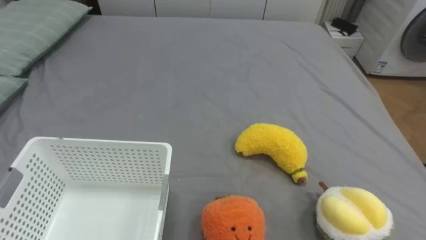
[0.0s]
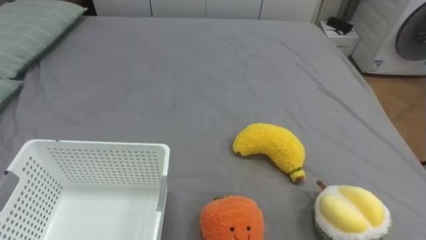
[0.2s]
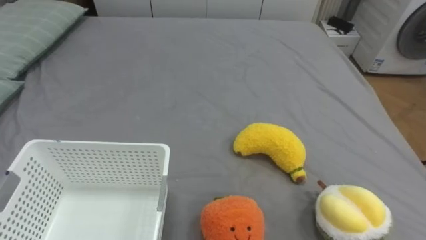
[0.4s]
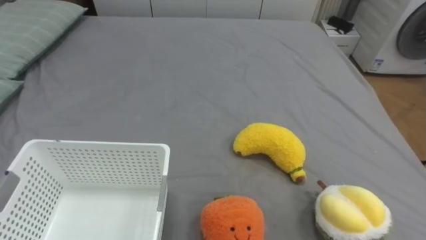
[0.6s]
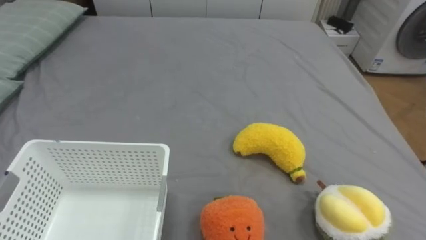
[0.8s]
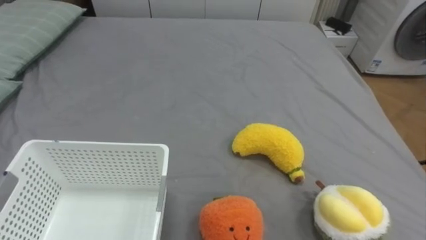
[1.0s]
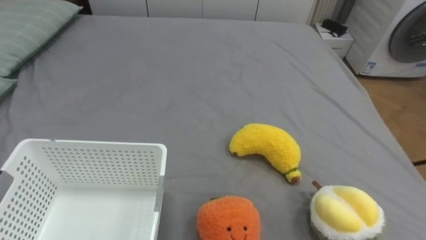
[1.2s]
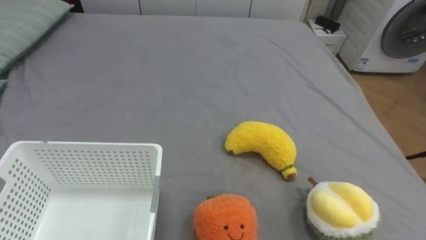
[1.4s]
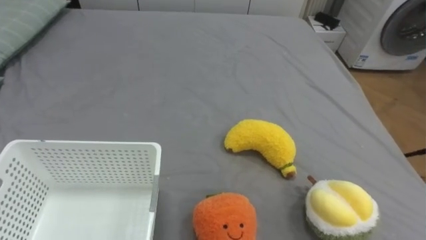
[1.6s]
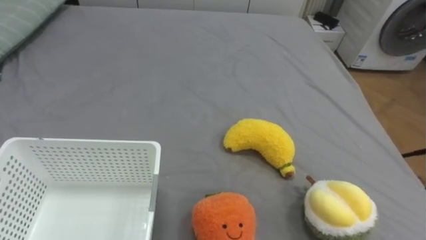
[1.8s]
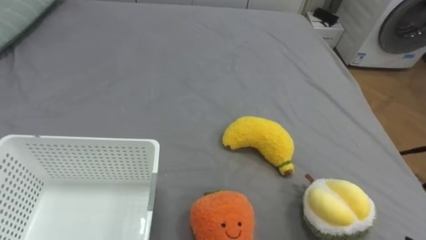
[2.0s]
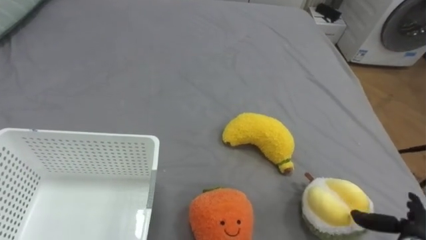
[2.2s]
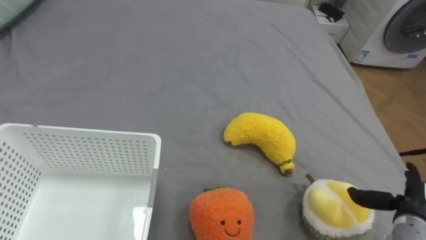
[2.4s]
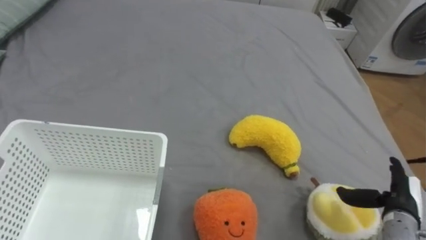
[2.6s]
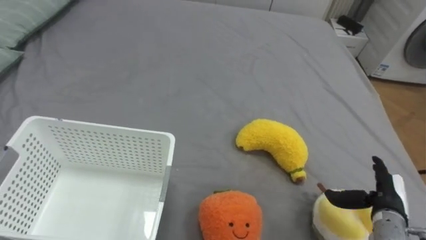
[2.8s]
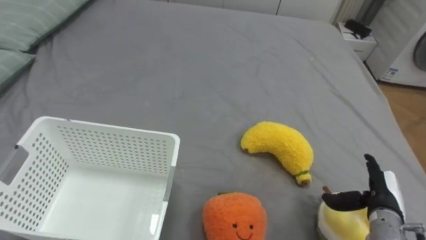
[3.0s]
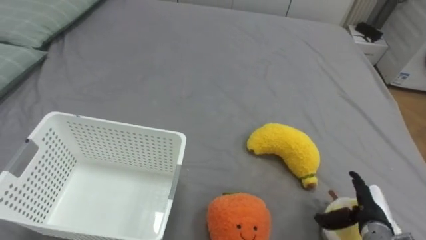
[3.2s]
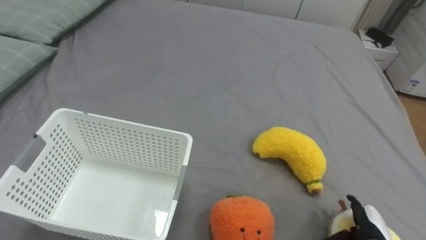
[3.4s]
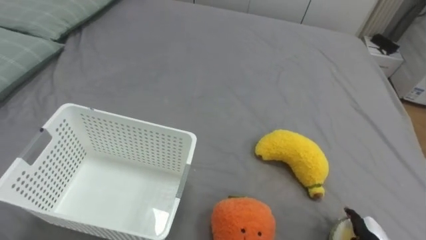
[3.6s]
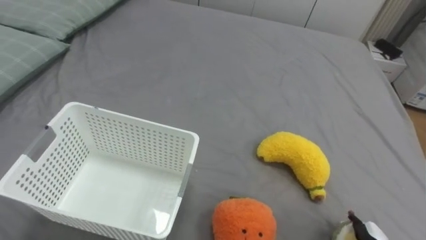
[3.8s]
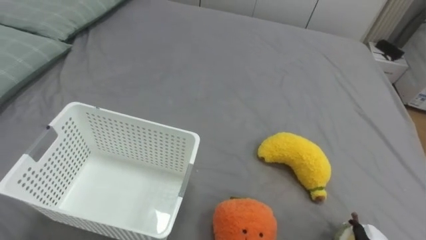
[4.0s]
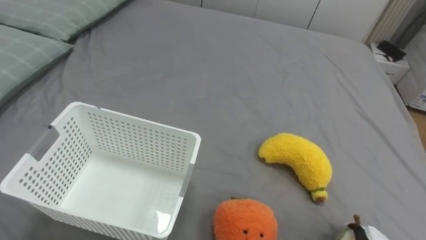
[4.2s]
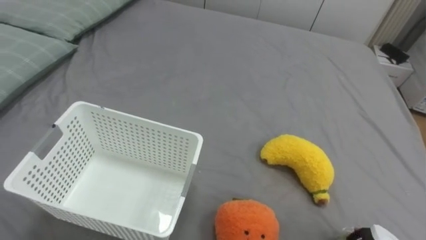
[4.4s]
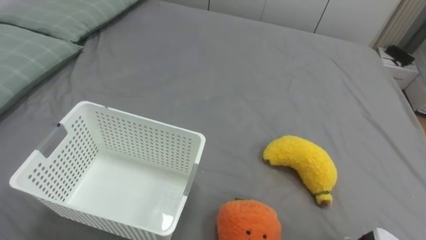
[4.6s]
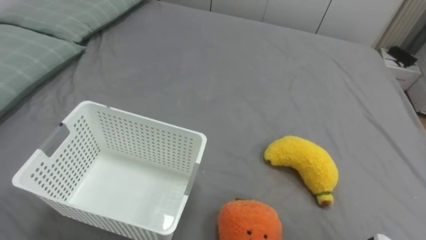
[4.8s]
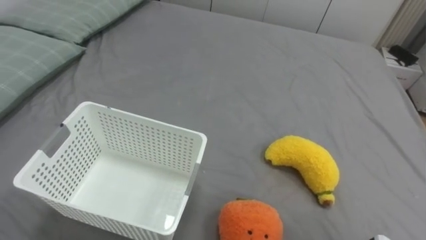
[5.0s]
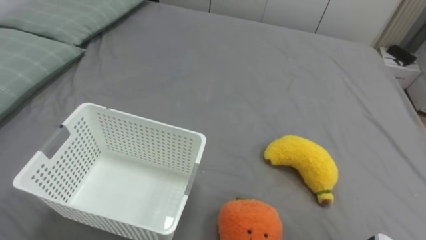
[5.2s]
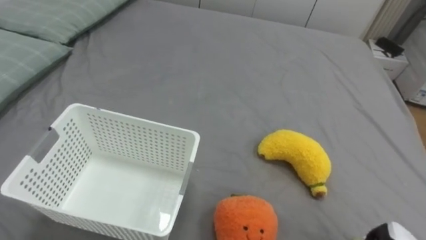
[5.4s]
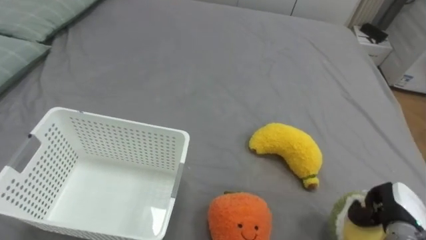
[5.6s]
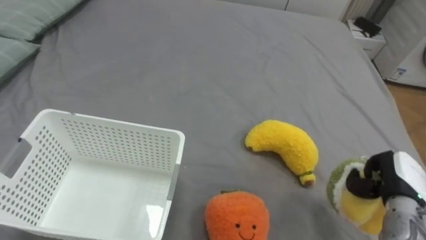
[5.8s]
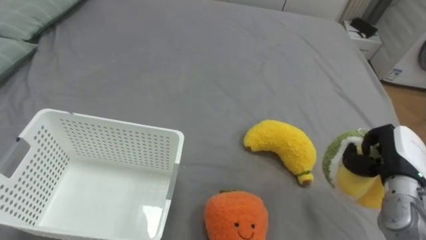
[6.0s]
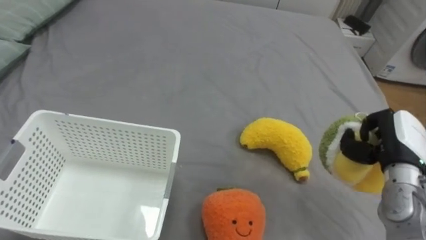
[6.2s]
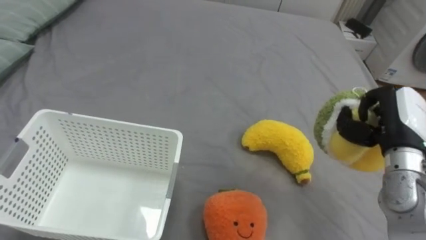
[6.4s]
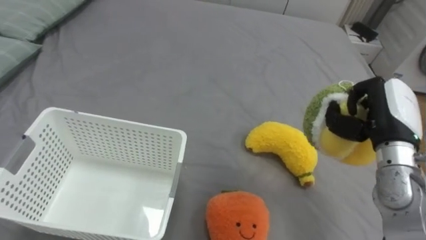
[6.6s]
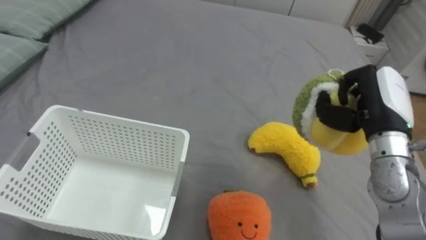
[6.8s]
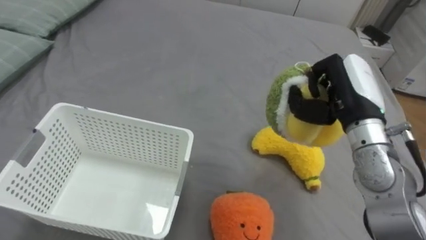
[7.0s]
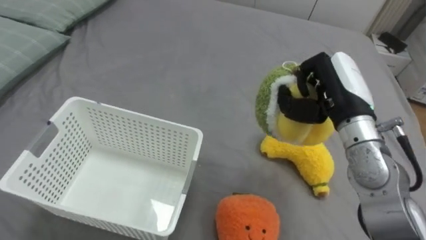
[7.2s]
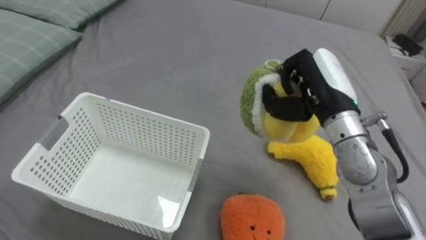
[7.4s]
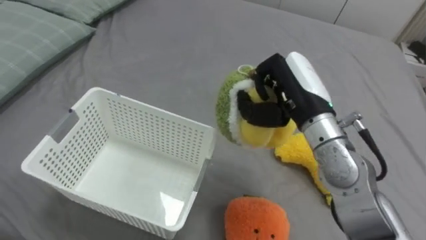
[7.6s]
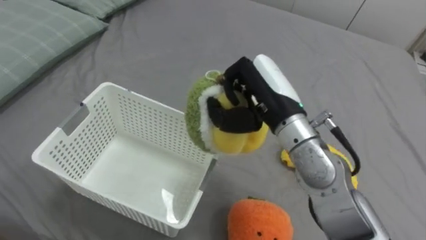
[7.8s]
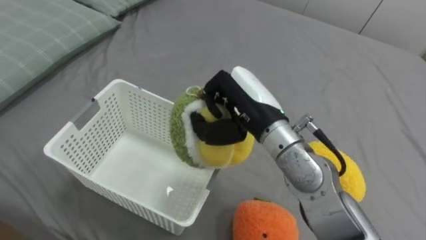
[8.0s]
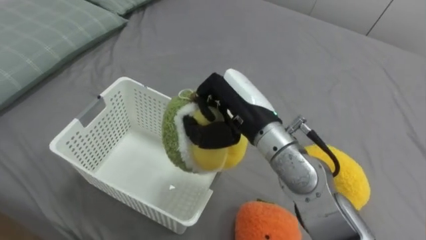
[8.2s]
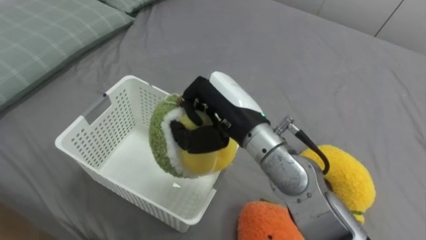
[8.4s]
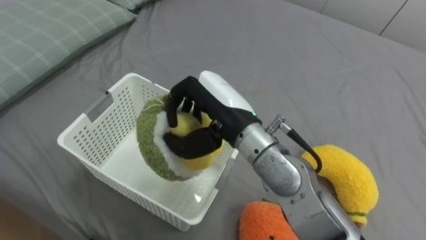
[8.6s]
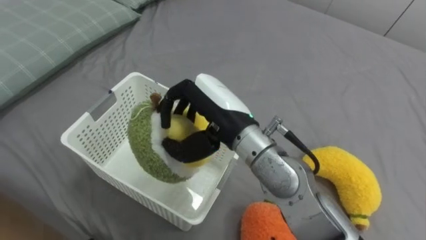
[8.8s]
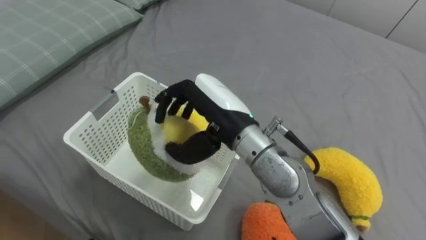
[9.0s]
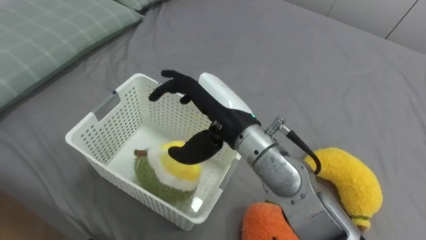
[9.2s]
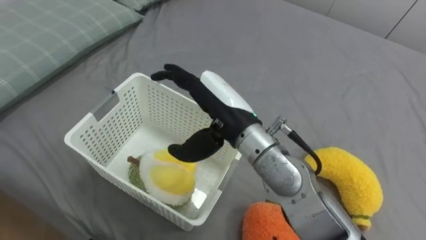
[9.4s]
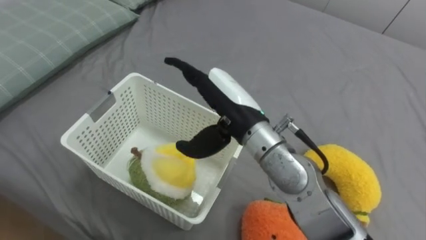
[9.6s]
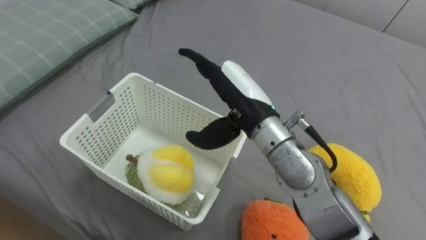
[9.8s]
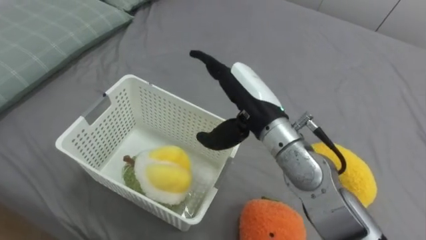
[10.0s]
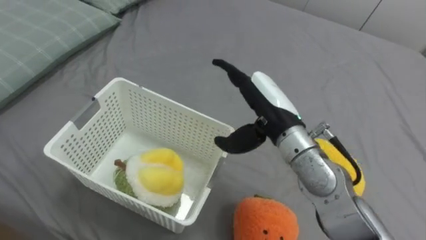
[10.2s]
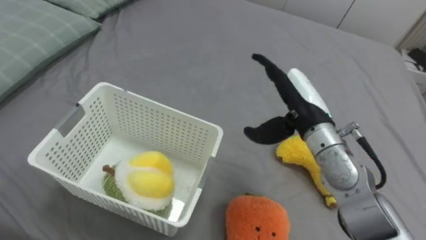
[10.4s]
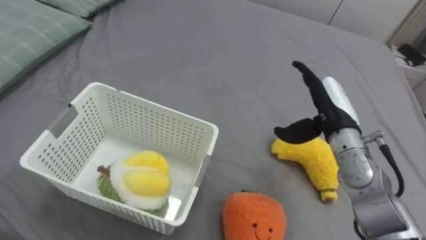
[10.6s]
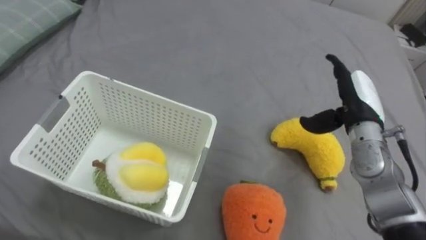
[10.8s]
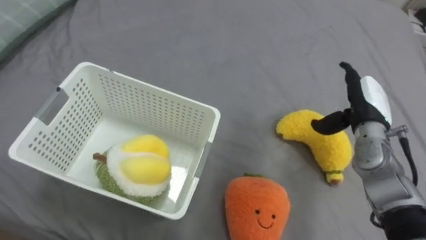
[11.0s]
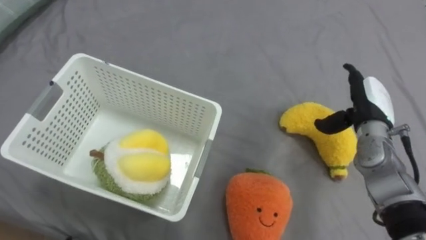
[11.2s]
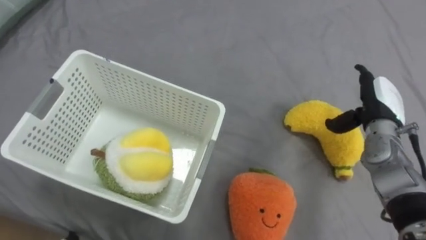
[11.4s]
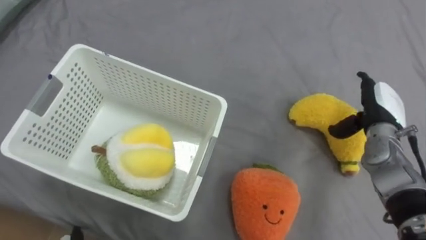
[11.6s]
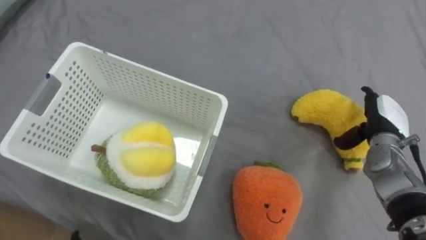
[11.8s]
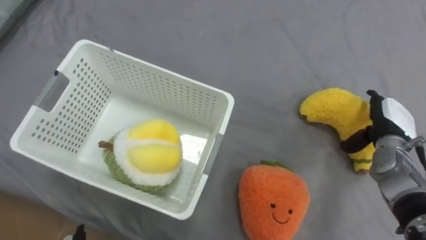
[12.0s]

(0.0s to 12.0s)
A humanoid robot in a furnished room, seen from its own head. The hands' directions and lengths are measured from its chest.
Task of the whole recording: Put the toys on the bed into the basket on the left.
6.0s - 7.6s: The right hand goes about 25 cm to the left and upward.
7.6s - 9.0s: The right hand goes approximately 15 cm to the left, and opens its fingers.
9.0s - 10.4s: The right hand moves to the right, approximately 15 cm, and opens its fingers.
10.4s - 12.0s: The right hand moves to the right and downward, approximately 20 cm.

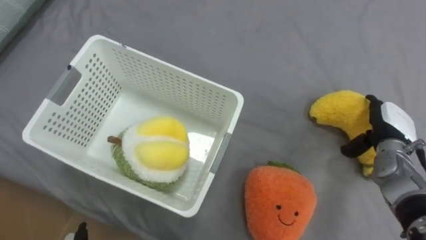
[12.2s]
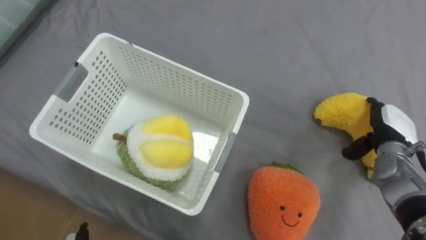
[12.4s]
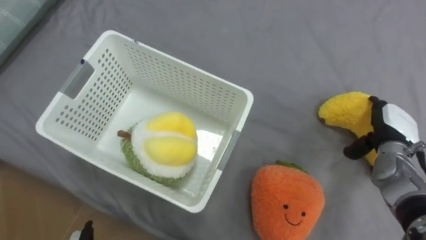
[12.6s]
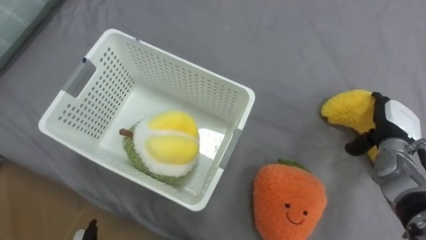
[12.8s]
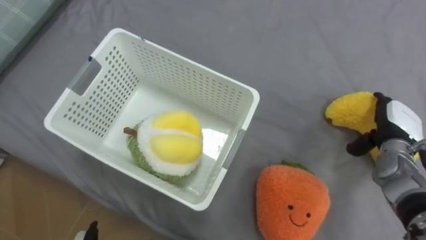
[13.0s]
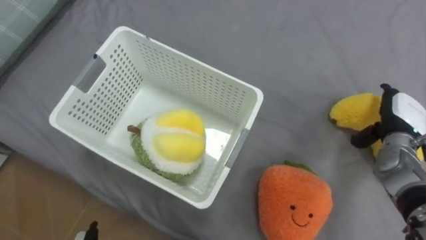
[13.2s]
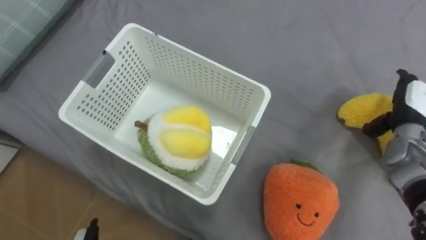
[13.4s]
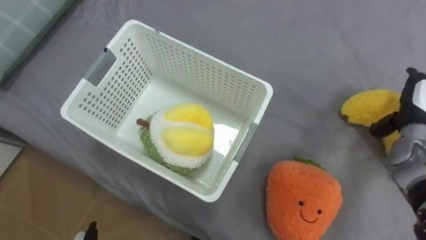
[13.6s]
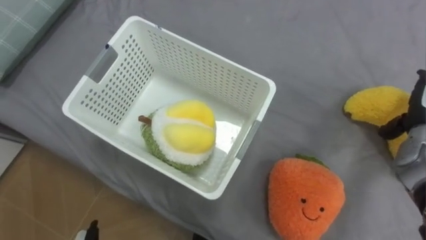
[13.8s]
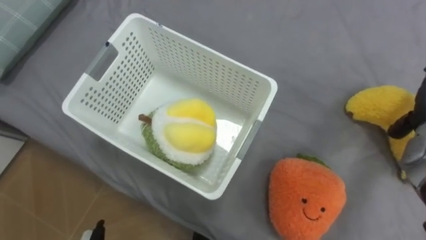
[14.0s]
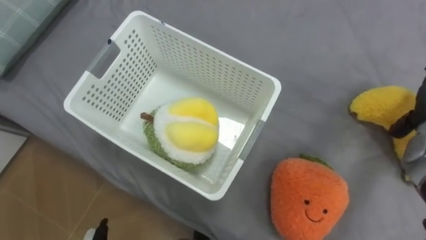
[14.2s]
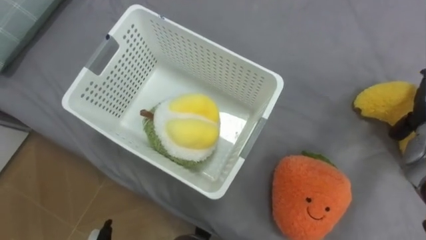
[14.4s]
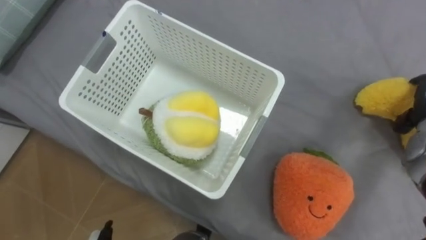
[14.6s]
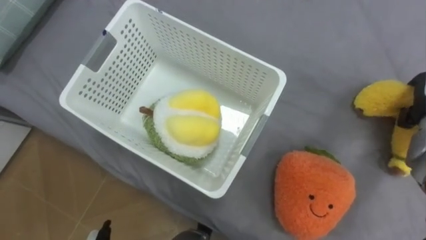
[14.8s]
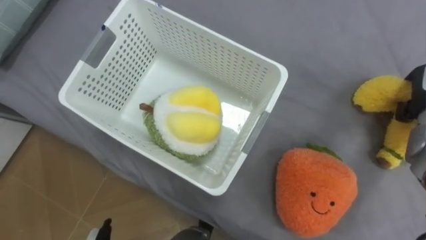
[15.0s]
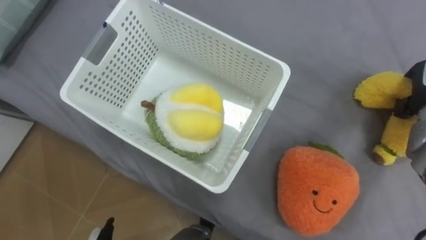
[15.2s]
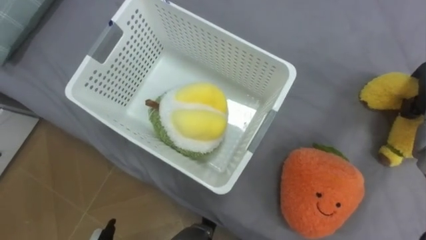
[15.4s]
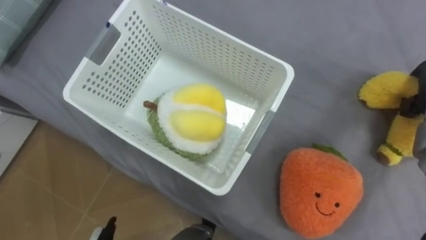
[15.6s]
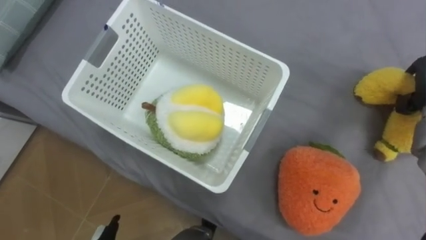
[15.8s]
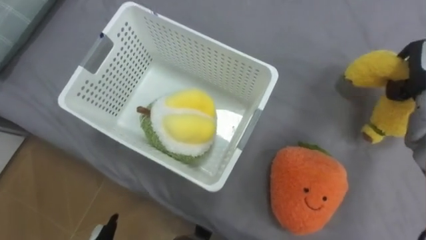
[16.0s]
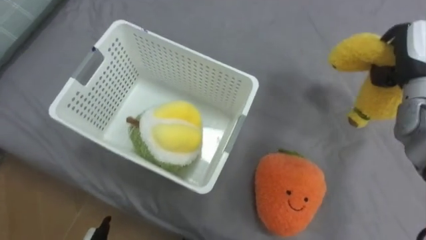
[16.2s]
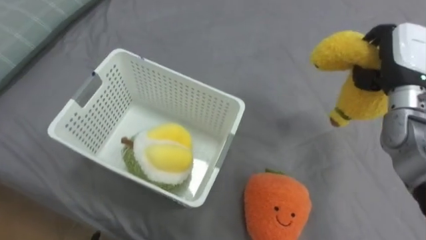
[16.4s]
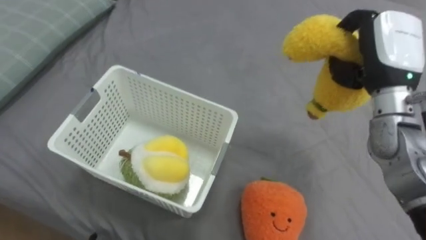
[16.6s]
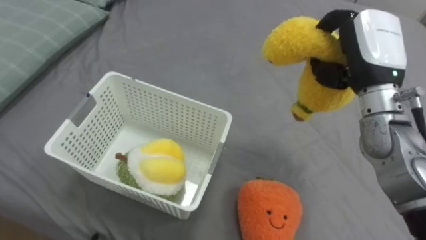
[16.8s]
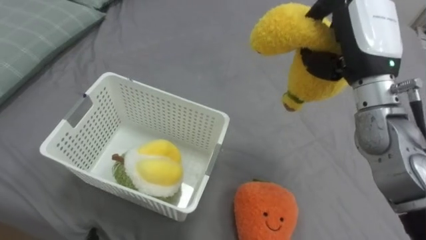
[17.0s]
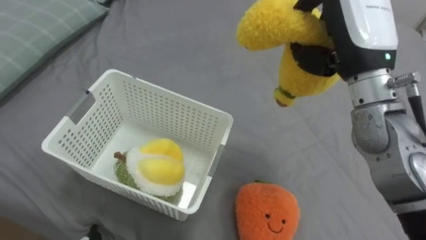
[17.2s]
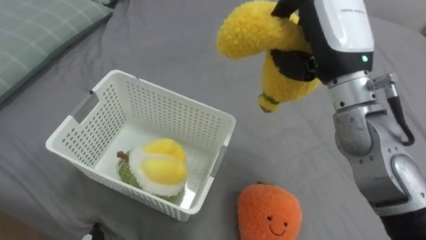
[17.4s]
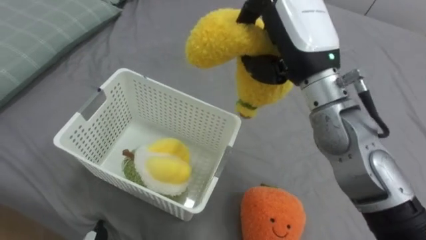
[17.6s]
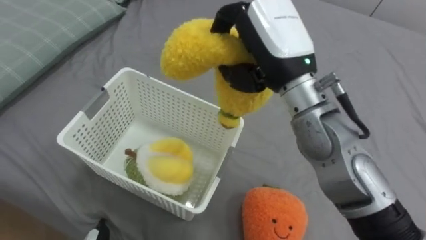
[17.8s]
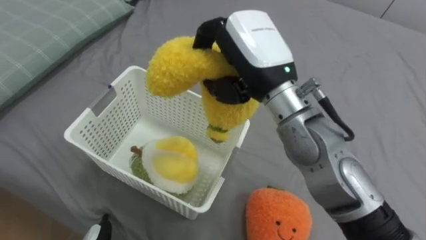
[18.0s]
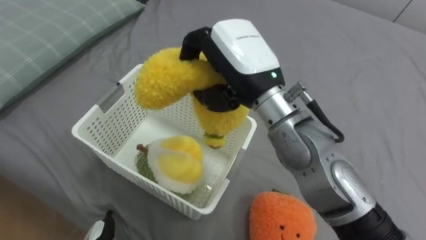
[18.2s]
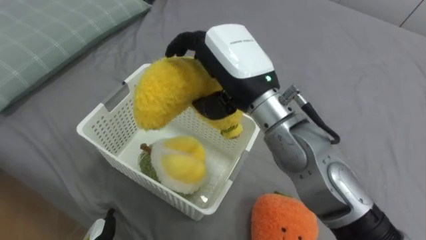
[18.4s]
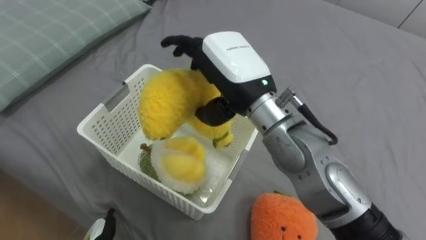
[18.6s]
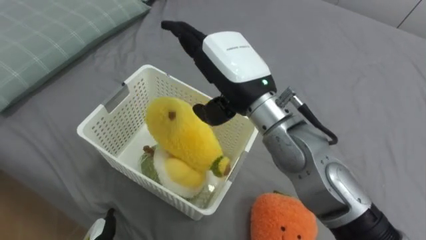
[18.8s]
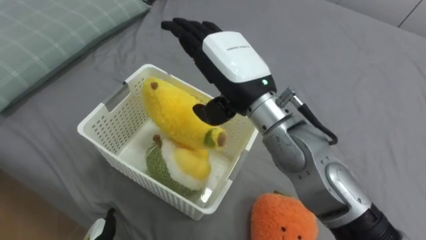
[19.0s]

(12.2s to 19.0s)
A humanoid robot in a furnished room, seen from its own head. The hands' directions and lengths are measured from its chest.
Task of the whole recording: Put the toys on the bed into the basket on the left.
12.2s - 13.6s: The right hand moves some 5 cm.
16.2s - 17.6s: The right hand travels to the left by approximately 25 cm.
17.6s - 19.0s: The right hand goes roughly 10 cm to the left, and opens up.
